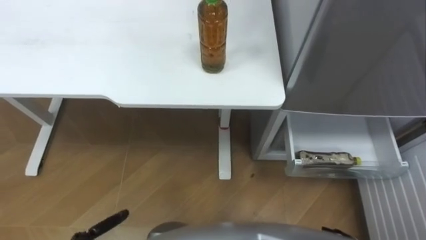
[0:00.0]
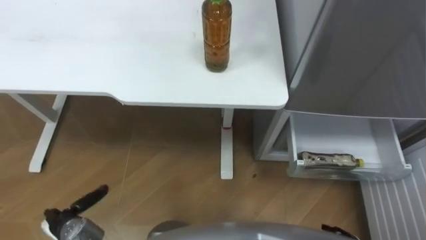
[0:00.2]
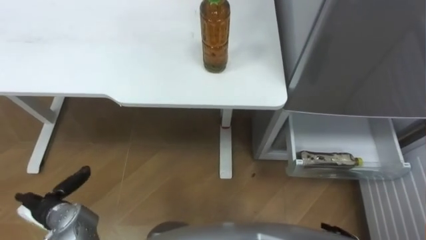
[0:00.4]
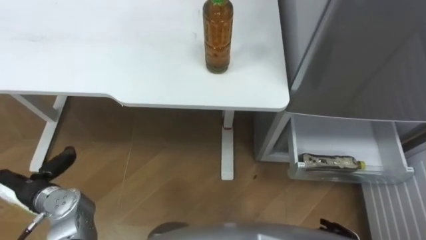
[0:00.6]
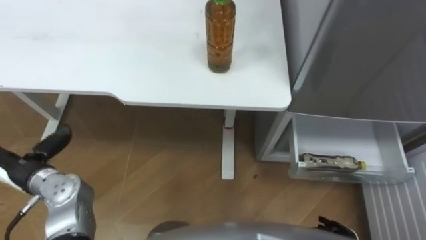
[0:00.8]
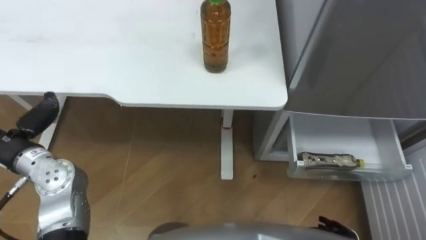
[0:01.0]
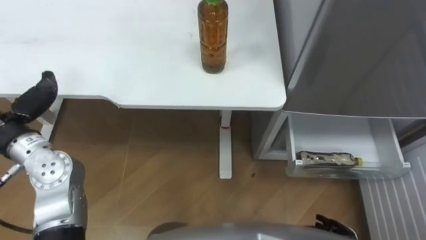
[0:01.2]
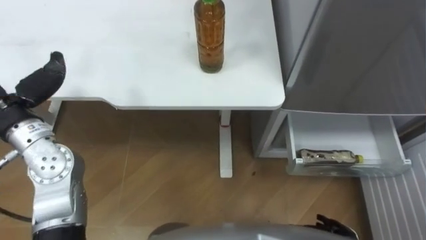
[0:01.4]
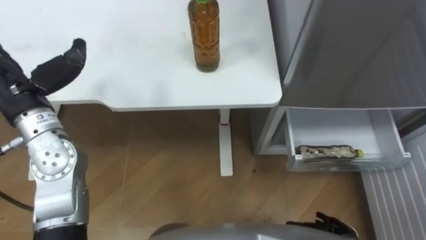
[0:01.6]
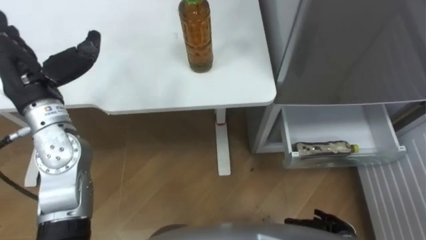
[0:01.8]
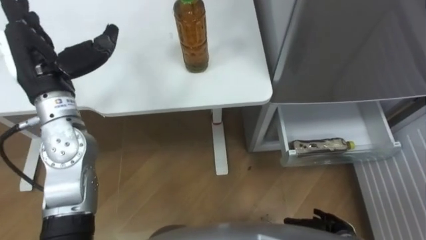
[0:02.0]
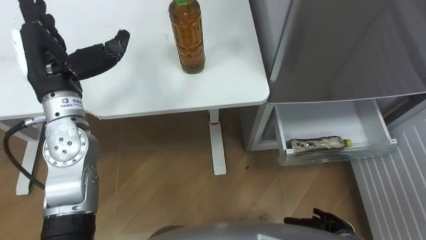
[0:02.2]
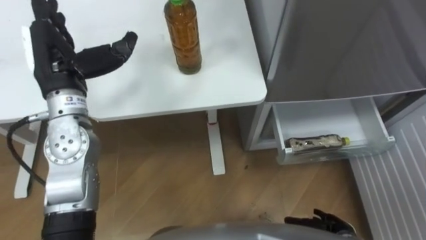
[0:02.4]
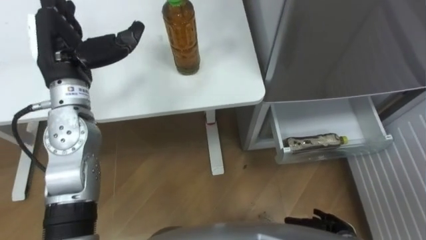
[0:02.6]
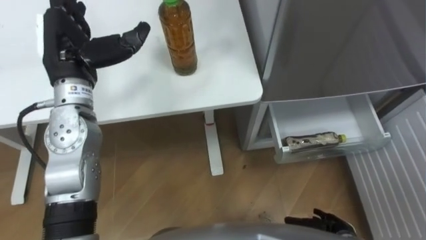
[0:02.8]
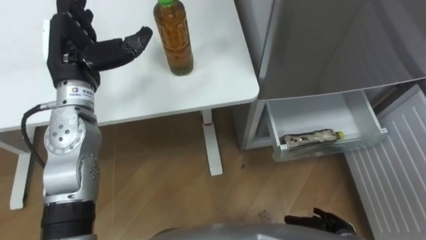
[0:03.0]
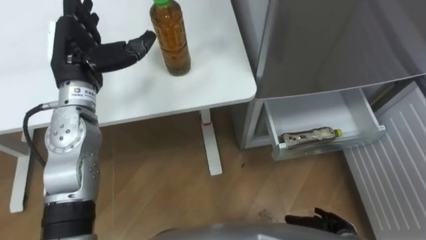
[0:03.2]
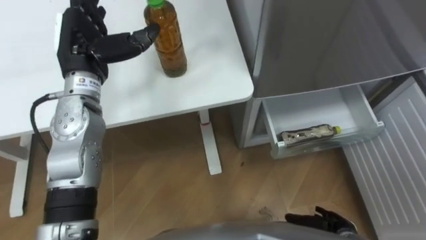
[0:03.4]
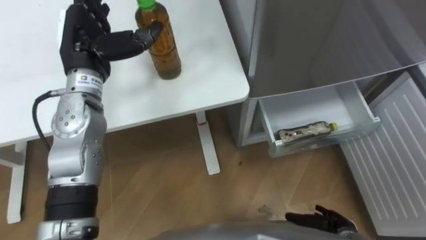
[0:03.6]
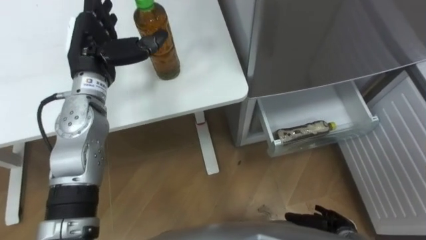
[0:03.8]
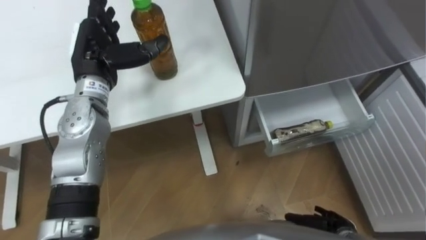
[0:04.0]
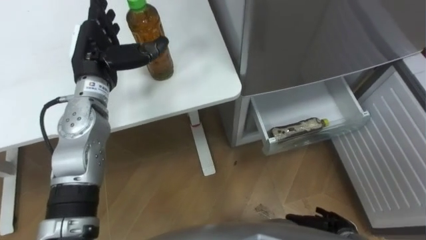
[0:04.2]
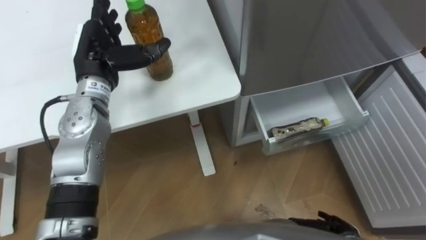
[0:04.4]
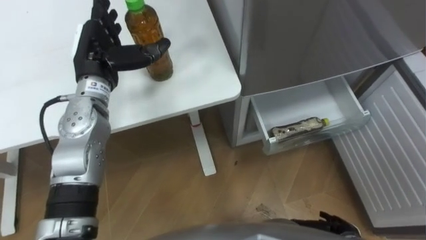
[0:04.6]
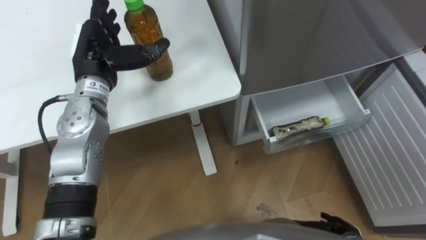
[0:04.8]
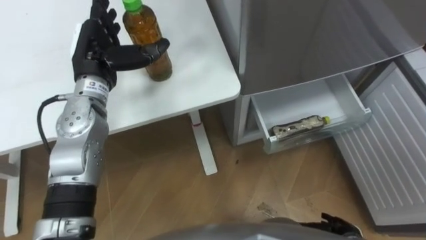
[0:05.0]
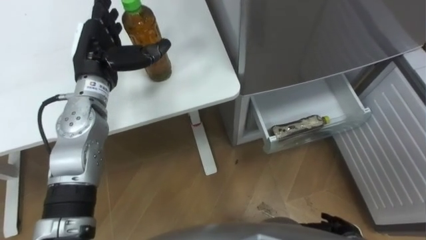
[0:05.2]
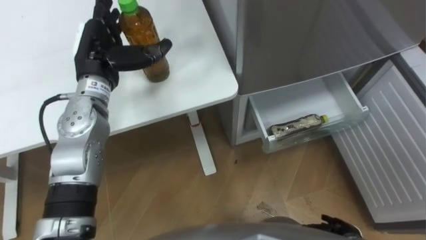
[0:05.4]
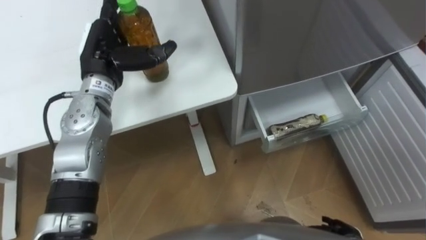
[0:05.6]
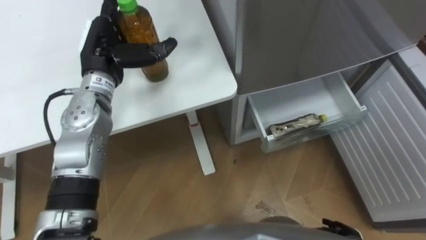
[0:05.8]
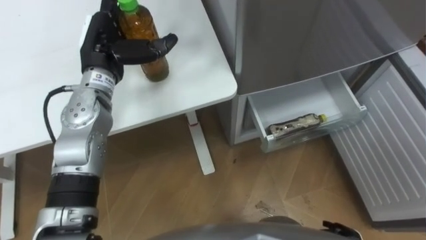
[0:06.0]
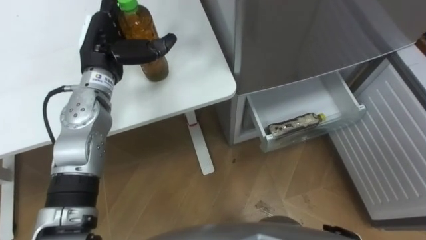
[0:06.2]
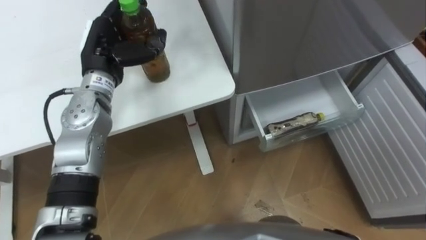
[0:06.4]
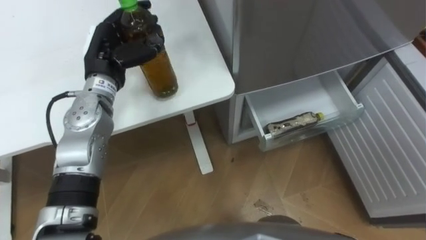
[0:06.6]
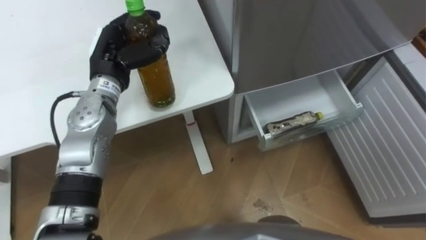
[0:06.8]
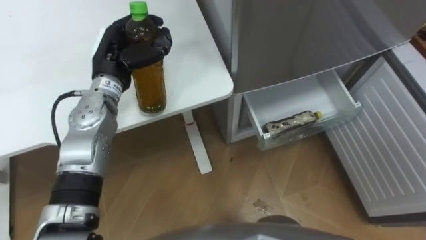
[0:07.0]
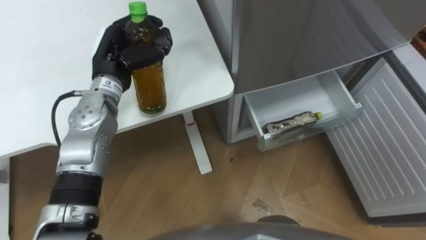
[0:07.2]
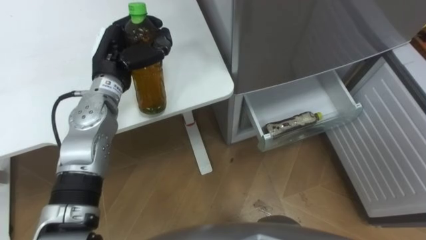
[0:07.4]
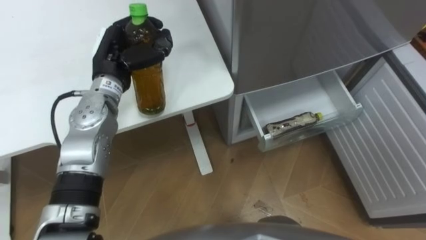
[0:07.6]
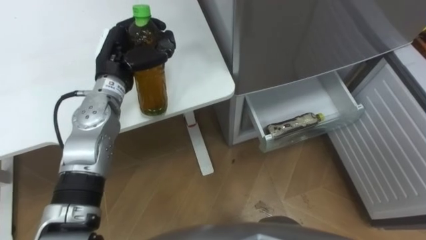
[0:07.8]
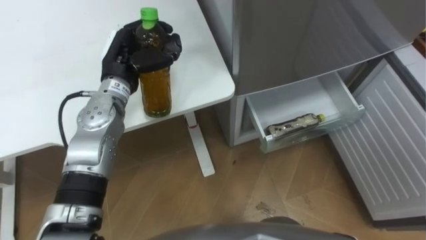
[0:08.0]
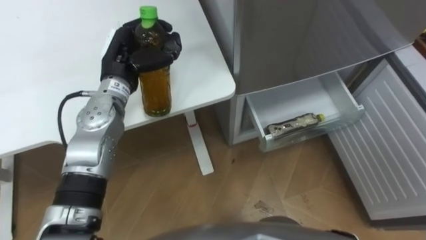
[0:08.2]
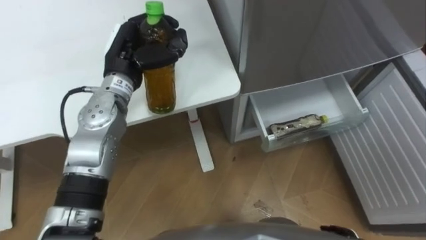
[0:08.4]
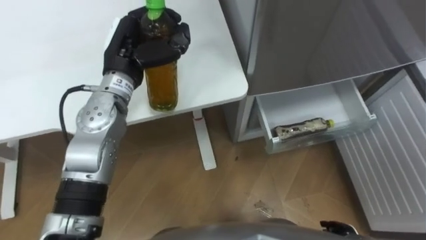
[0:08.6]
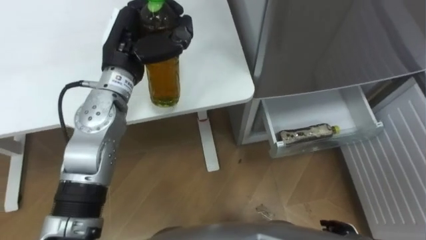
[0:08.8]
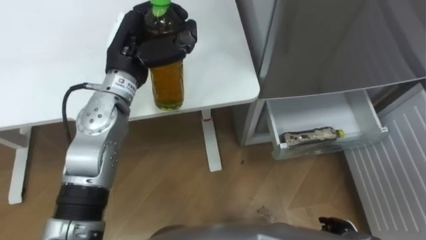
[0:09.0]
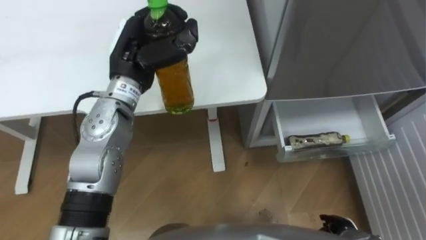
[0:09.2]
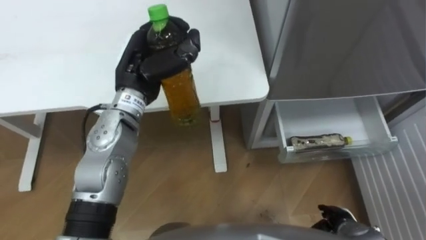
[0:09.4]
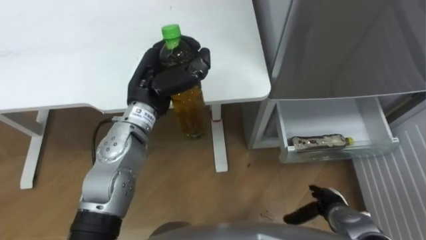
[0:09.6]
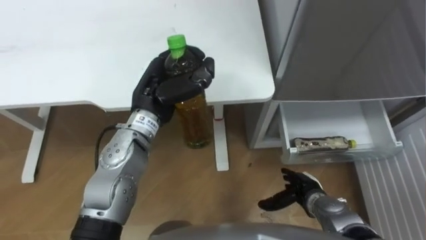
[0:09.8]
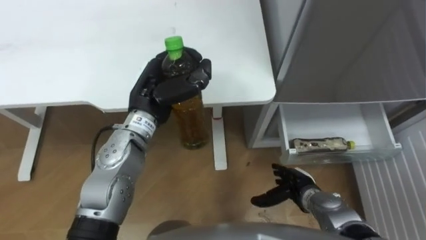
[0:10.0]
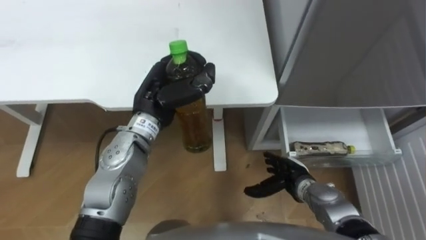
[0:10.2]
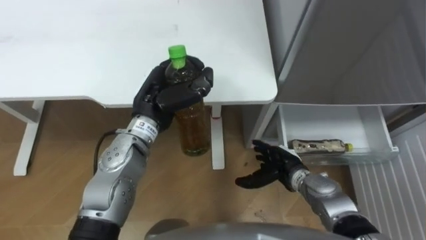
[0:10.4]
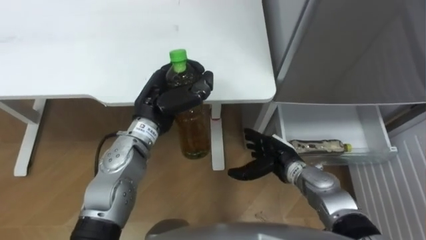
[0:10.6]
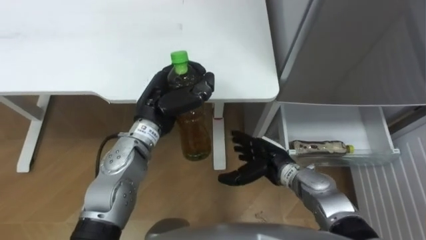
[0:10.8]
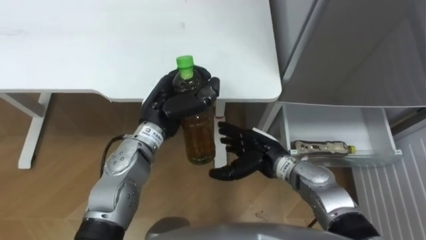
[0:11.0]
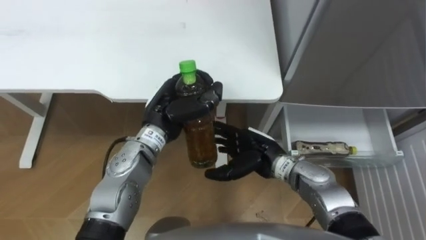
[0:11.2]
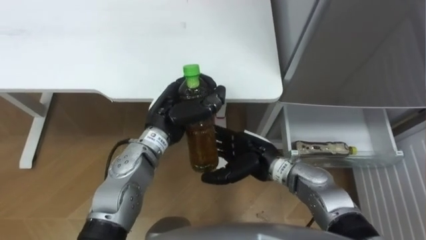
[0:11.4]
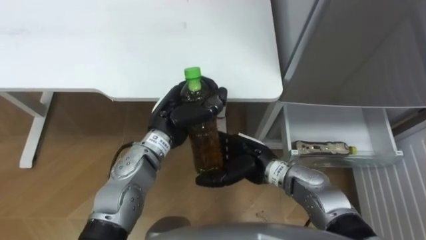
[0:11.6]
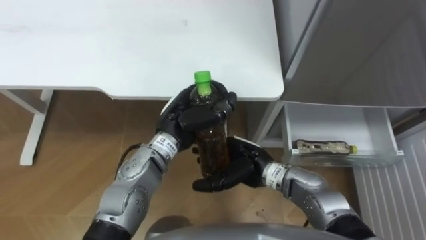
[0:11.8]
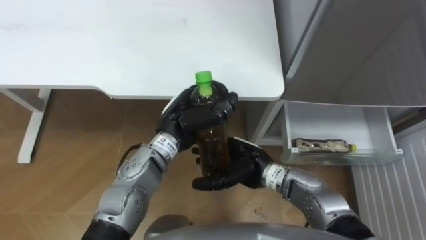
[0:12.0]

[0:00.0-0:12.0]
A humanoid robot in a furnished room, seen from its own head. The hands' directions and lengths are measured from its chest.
Task of the whole recording: Place the drink on the table on the bottom shelf of the refrigerator, then close the drawer and the refrigerator door.
0:01.6 to 0:03.0: The left hand goes about 10 cm to the right and forward.
0:06.0 to 0:07.6: The left hand closes.
0:07.6 to 0:09.0: The left hand ends up approximately 5 cm from where it was.
0:09.0 to 0:10.4: The right hand shifts some 20 cm forward, to the left and upward. The left hand shifts about 5 cm downward.
0:10.4 to 0:12.0: The left hand shifts by approximately 5 cm; the right hand heads to the left and upward, covering roughly 15 cm.

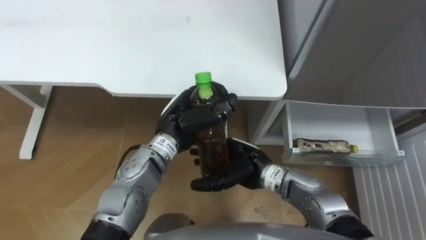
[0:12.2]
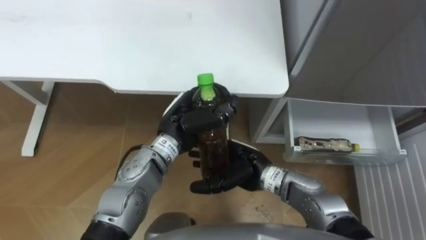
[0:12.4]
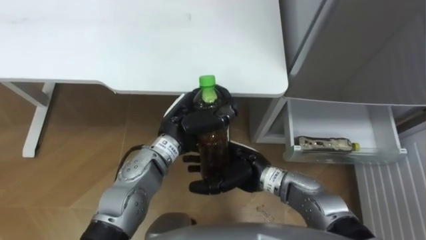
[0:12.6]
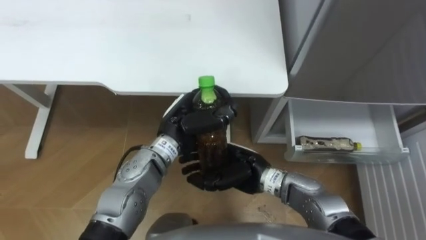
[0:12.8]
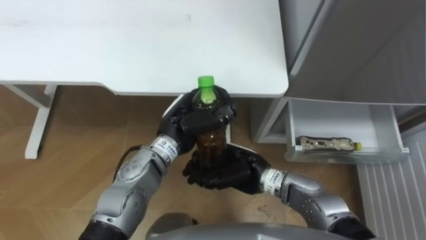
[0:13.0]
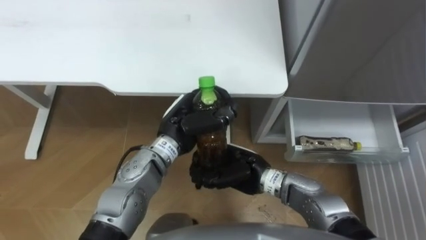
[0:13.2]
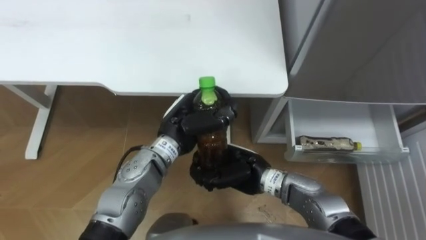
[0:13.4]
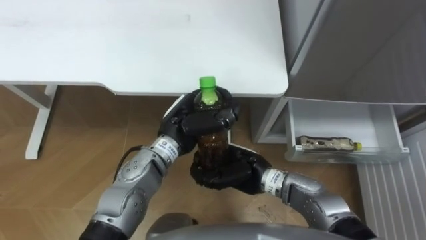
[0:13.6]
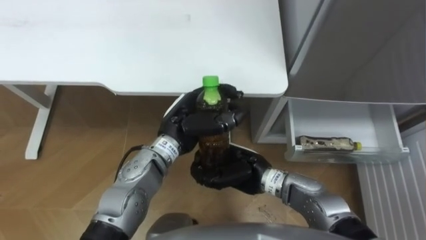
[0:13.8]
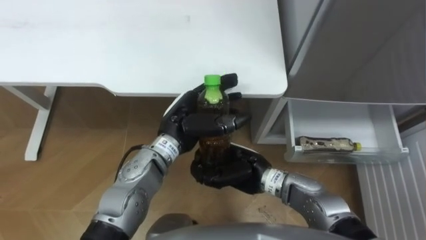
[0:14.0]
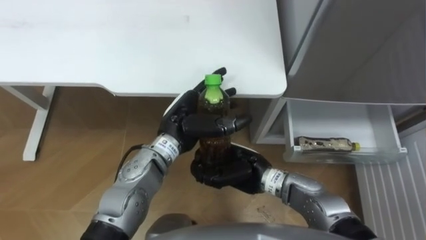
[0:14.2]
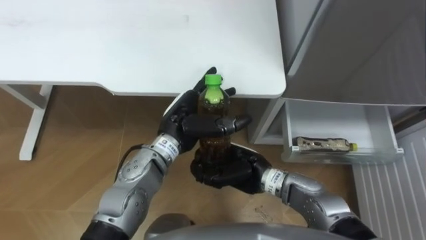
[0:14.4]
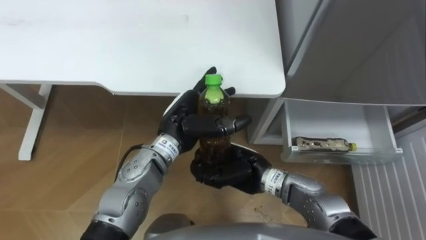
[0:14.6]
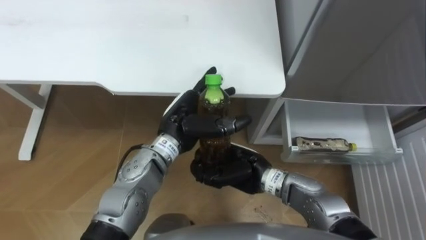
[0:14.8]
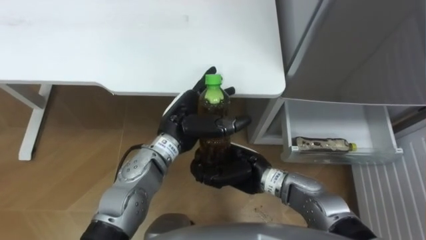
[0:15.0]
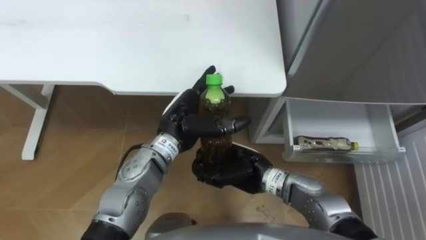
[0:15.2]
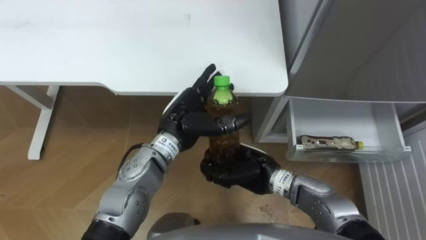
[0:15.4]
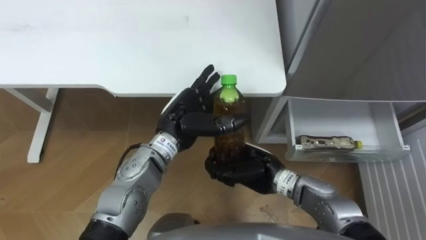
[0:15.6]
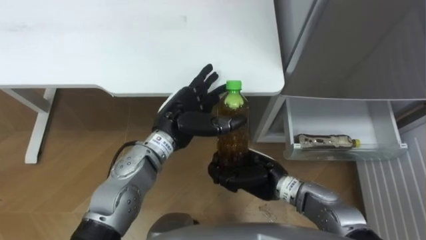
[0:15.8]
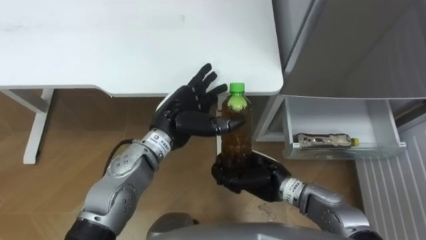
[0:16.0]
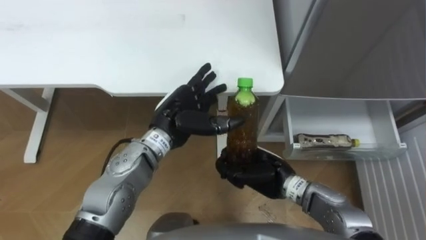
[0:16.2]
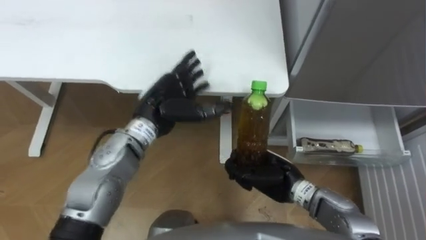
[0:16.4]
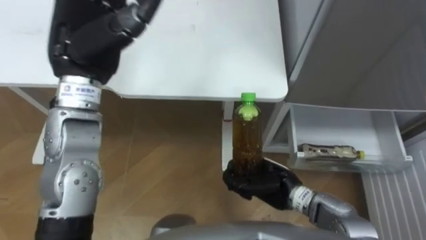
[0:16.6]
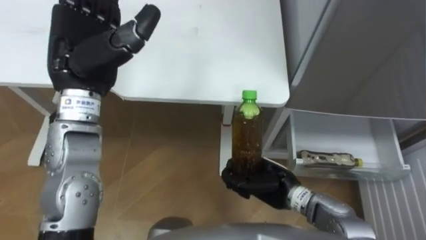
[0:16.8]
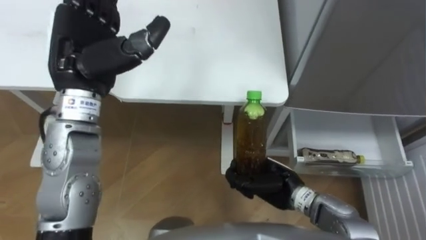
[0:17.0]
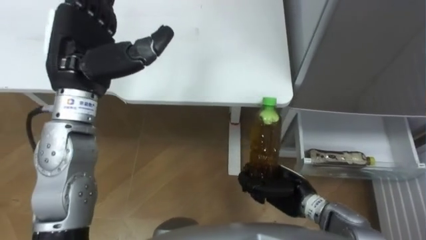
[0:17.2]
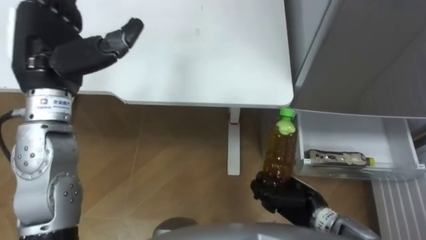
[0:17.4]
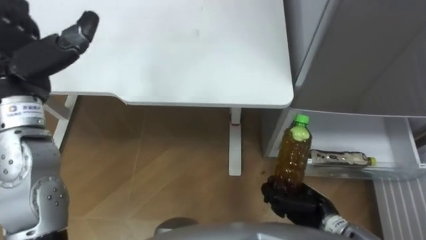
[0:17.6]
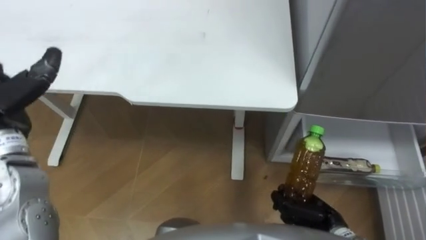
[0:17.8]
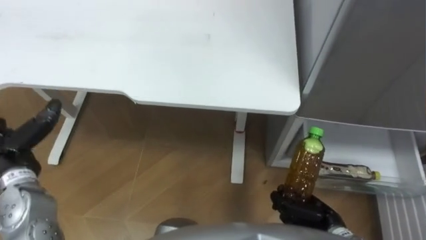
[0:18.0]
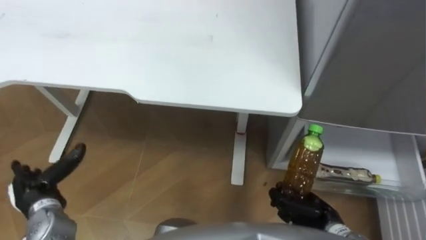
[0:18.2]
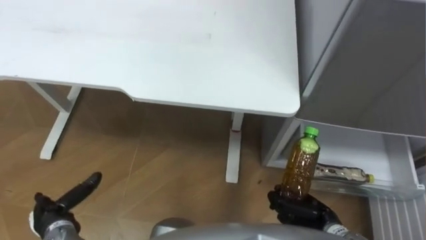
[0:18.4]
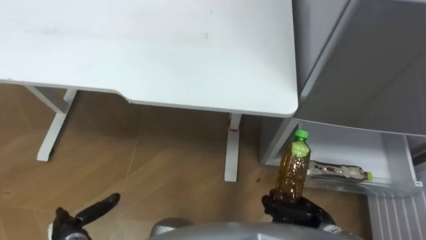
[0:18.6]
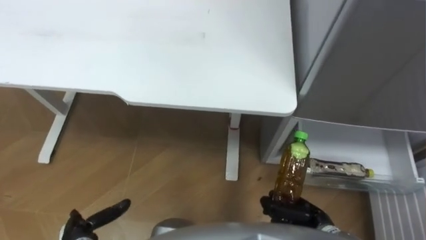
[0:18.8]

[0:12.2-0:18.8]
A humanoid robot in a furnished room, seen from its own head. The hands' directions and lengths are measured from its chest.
Task of the whole recording: Place the drink on the table on the bottom shelf of the refrigerator, then close the drawer and the refrigerator door.
0:12.2 to 0:13.8: The left hand opens its fingers. Meanwhile the right hand closes its fingers.
0:13.8 to 0:15.4: The left hand opens.
0:15.4 to 0:17.2: The left hand heads upward and to the left, covering roughly 20 cm. Meanwhile the right hand travels to the right by some 10 cm.
0:17.2 to 0:18.8: The right hand heads backward, to the right and downward, covering roughly 10 cm.
